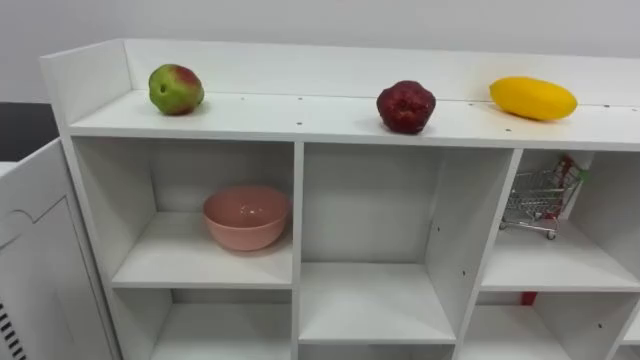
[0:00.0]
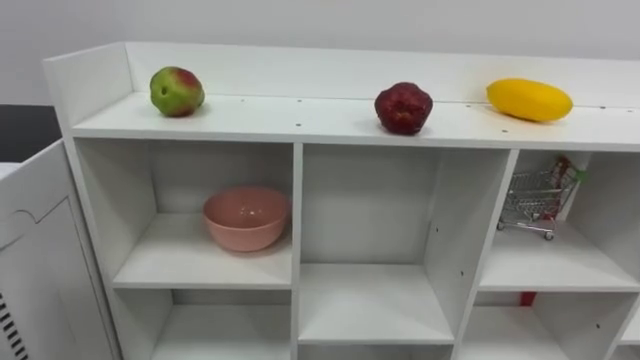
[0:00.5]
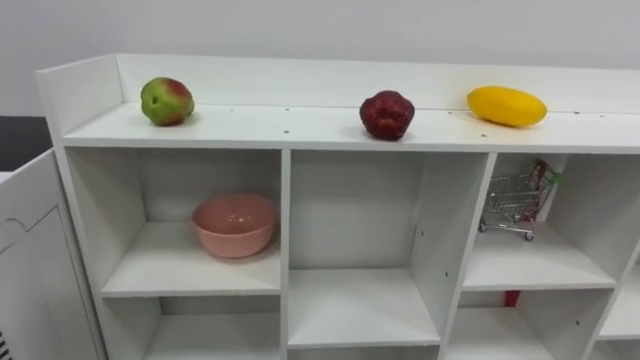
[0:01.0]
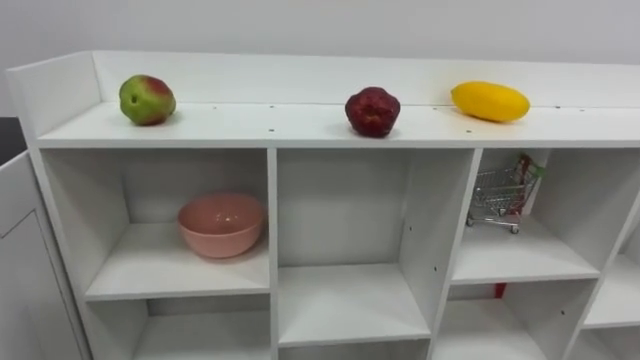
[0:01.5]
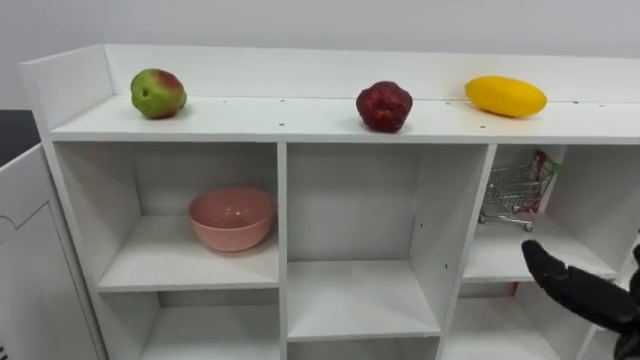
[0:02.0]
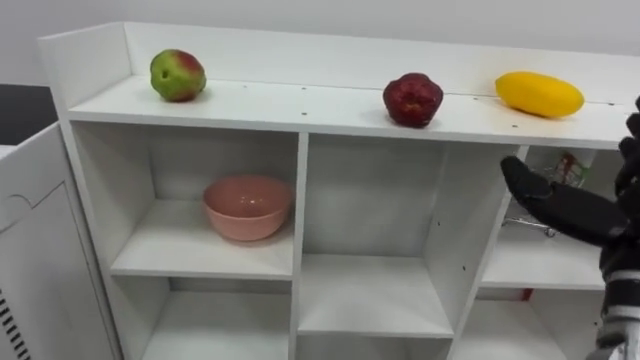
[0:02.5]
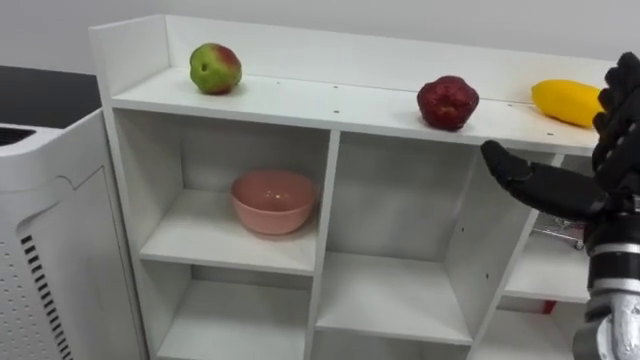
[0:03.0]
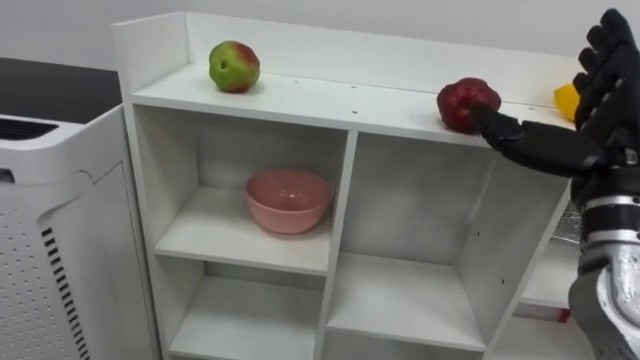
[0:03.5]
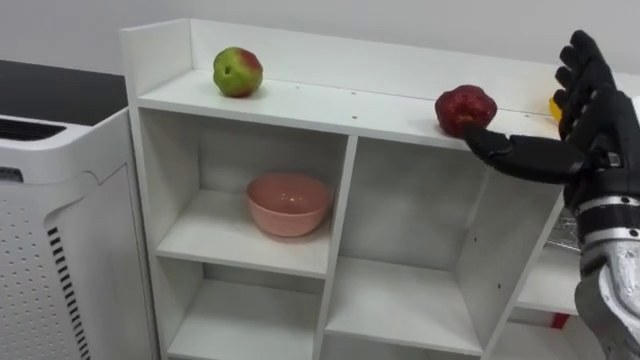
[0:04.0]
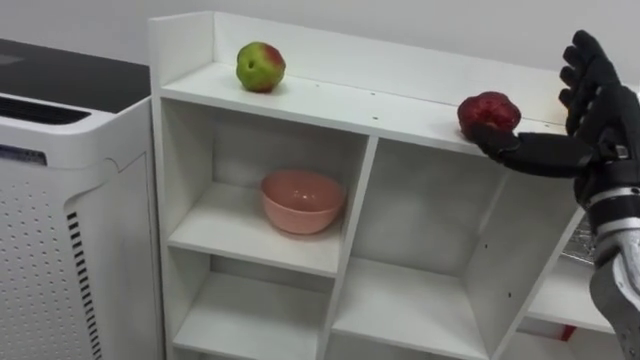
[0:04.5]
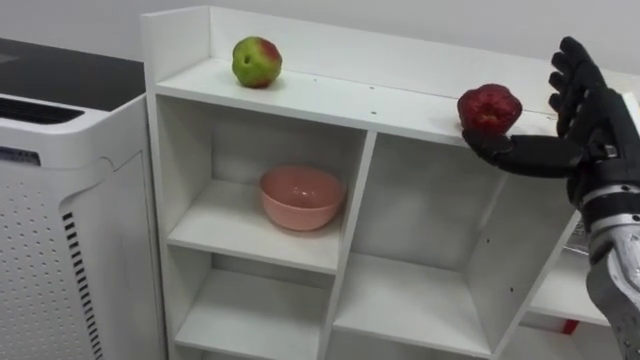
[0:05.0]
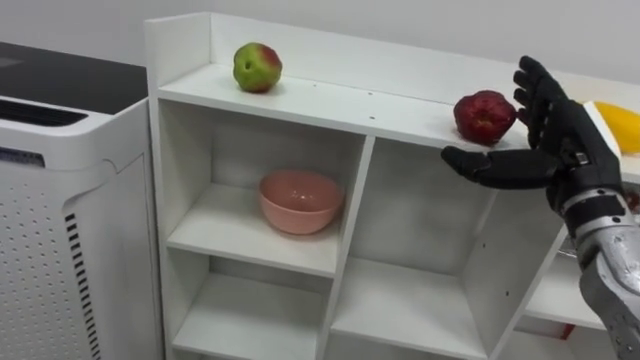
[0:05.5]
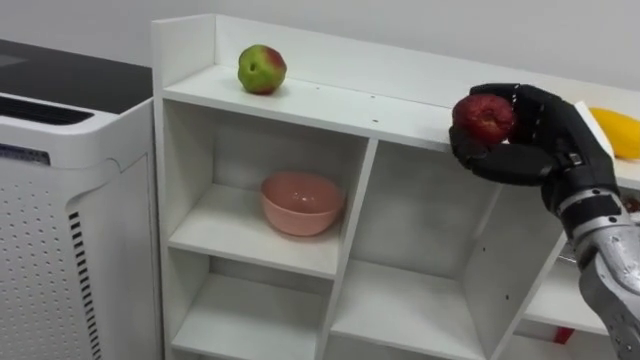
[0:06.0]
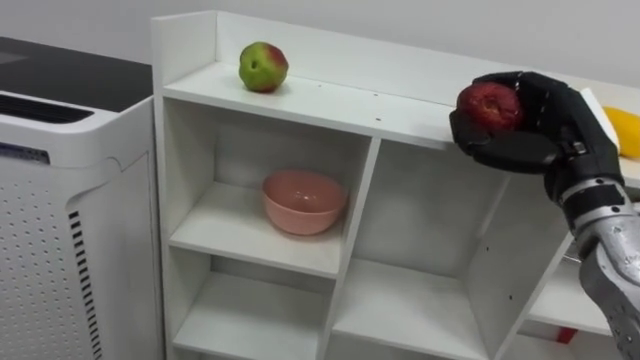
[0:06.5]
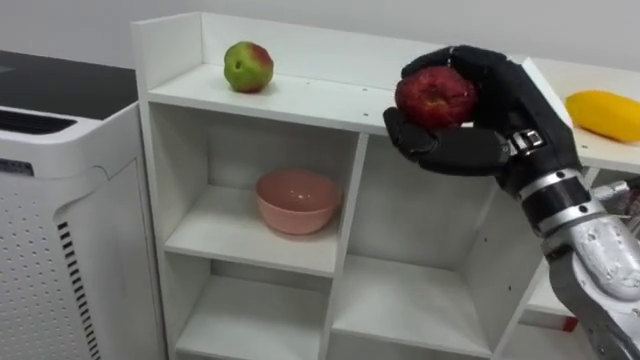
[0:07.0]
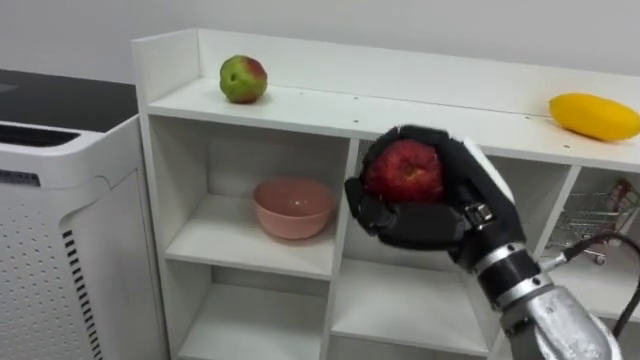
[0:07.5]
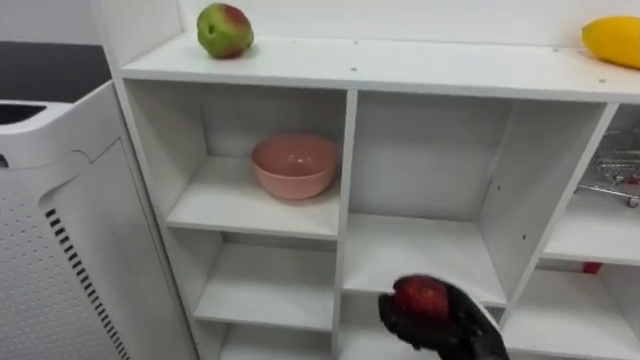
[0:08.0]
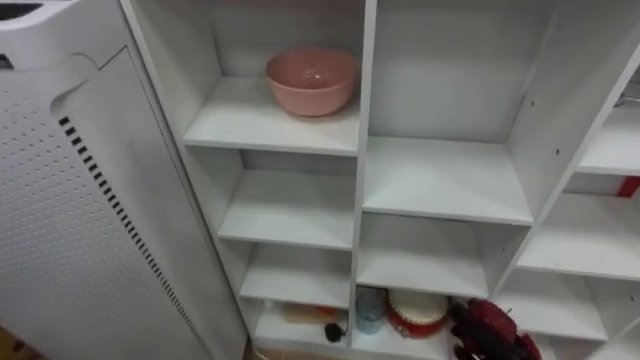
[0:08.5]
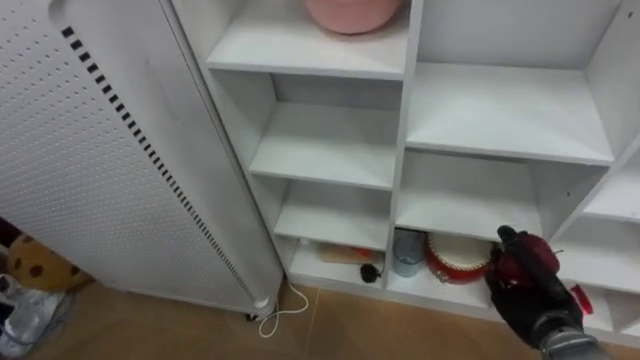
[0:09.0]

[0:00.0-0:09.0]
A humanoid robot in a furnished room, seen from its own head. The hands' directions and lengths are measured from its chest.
Task of the whole recording: Put the apple in the cell in the second column from the left and the second row from the top.
0:04.5 to 0:07.0: The right hand travels to the left by some 10 cm, and closes.

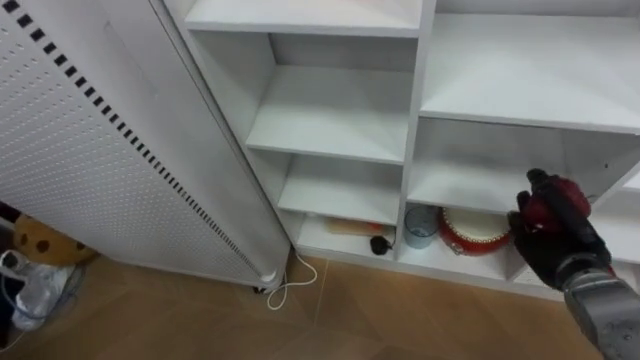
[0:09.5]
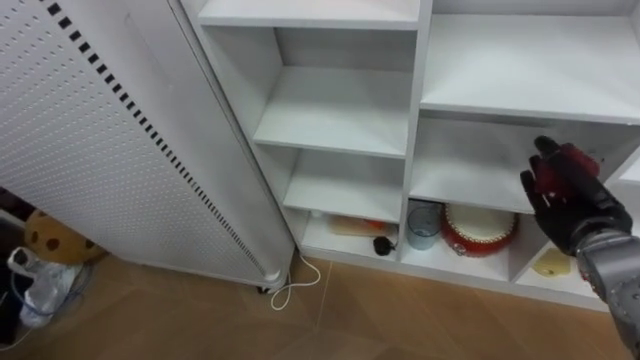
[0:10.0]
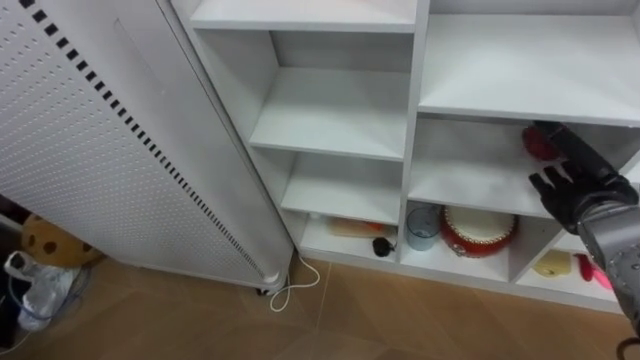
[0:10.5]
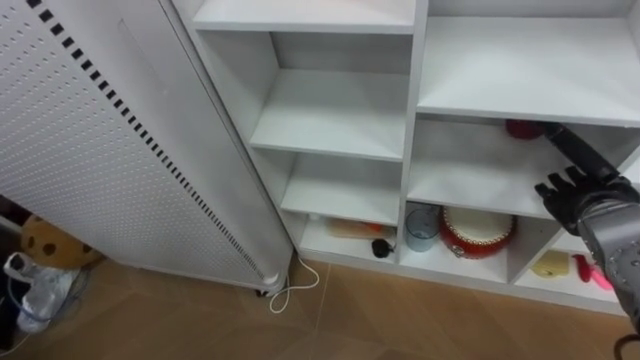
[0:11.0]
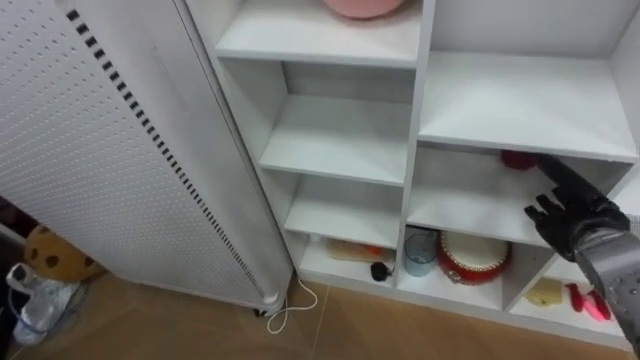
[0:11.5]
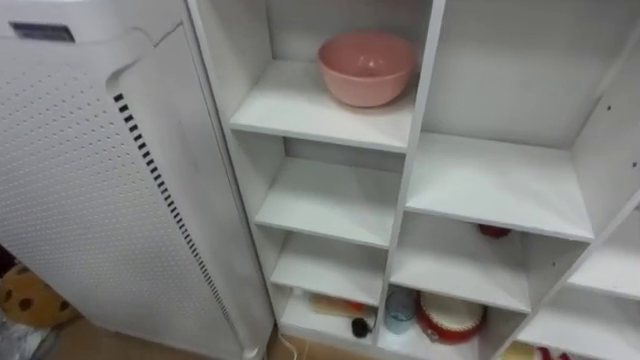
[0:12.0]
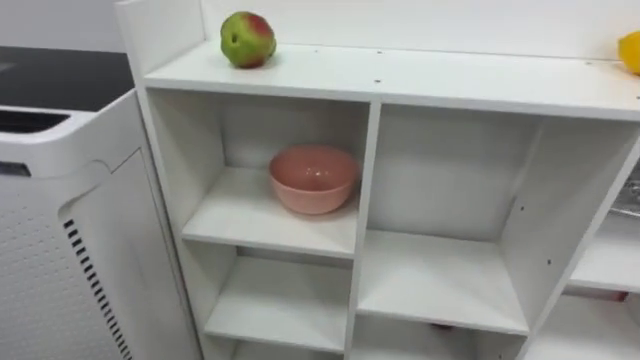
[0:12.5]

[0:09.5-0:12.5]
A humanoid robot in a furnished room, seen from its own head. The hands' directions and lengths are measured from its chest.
Task of the whole recording: Put the apple in the cell in the second column from the left and the second row from the top.
0:09.5 to 0:11.0: The right hand moves upward, roughly 5 cm, and opens.

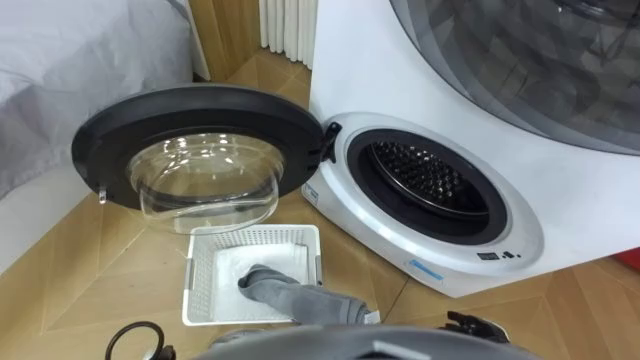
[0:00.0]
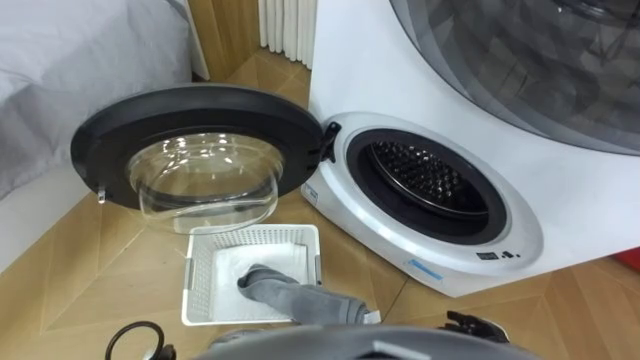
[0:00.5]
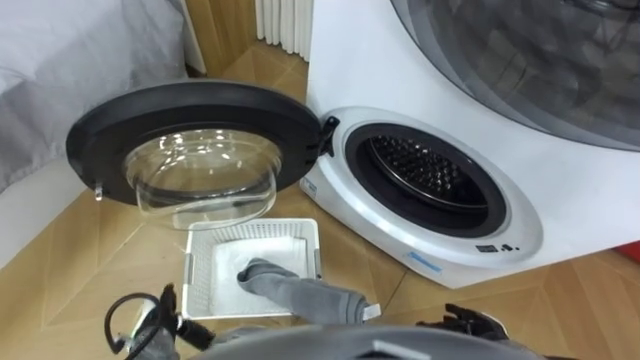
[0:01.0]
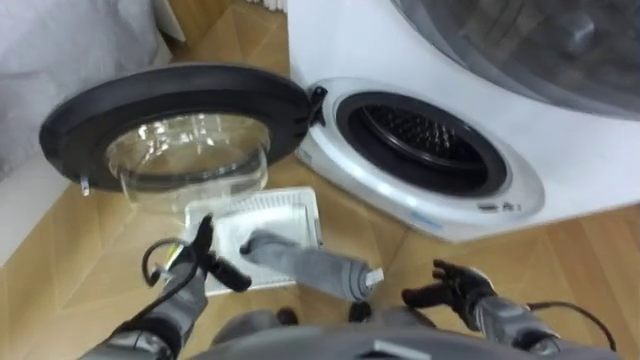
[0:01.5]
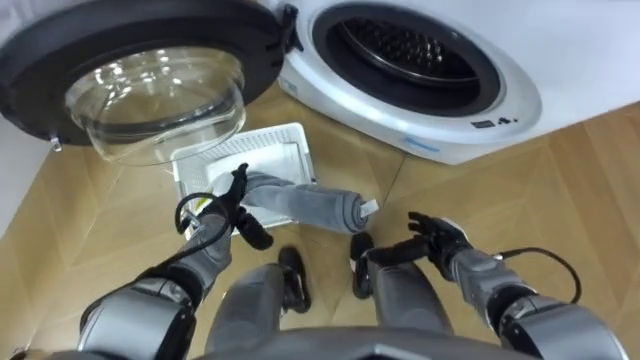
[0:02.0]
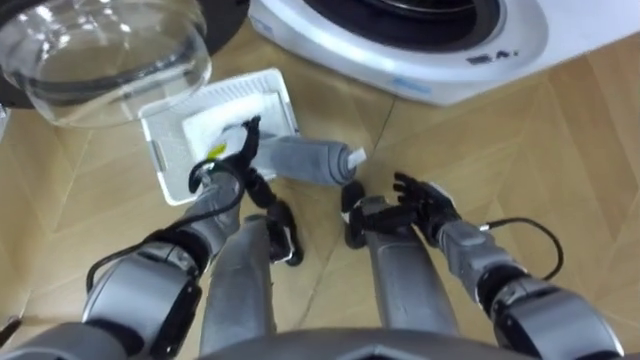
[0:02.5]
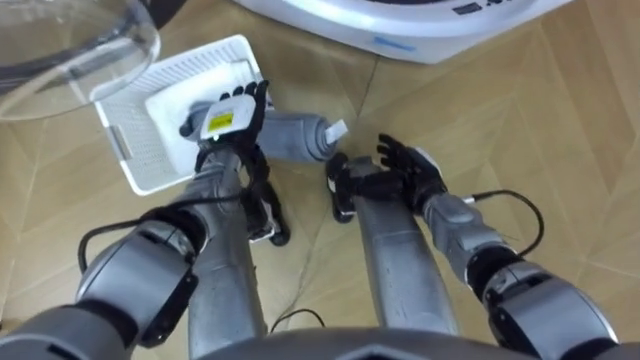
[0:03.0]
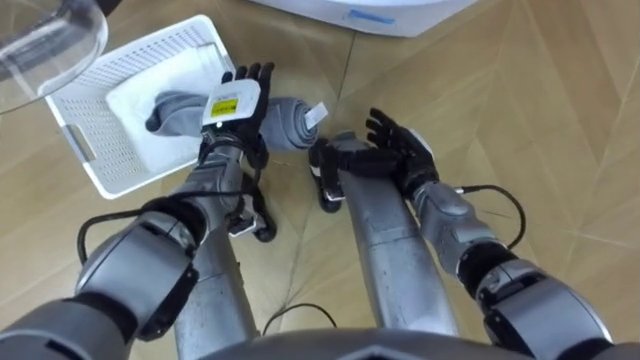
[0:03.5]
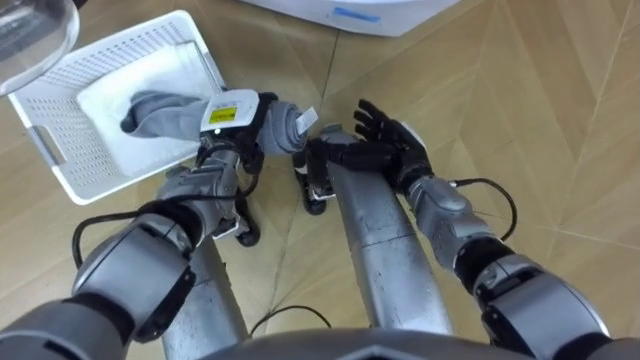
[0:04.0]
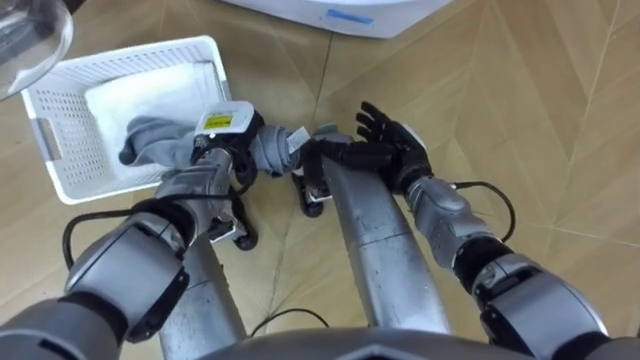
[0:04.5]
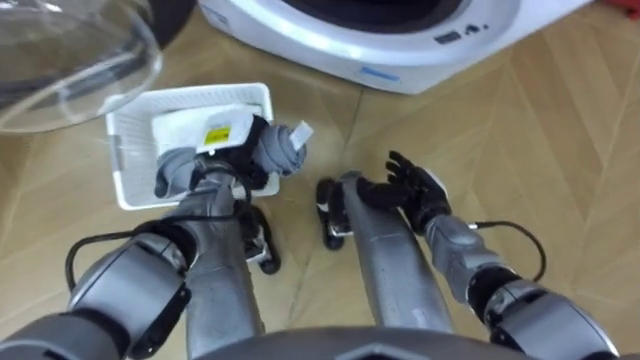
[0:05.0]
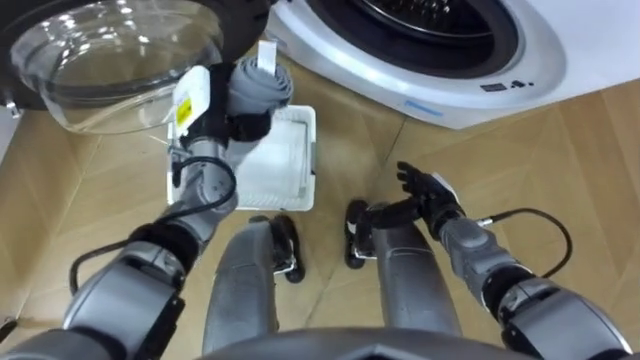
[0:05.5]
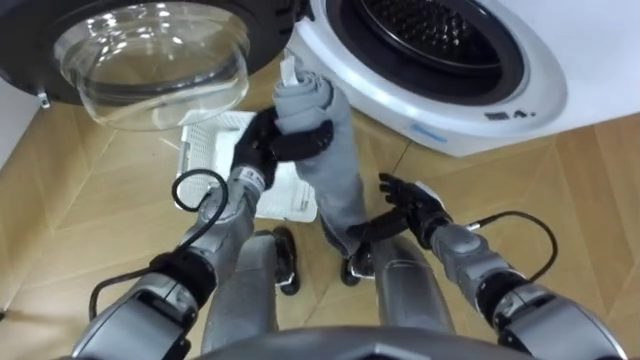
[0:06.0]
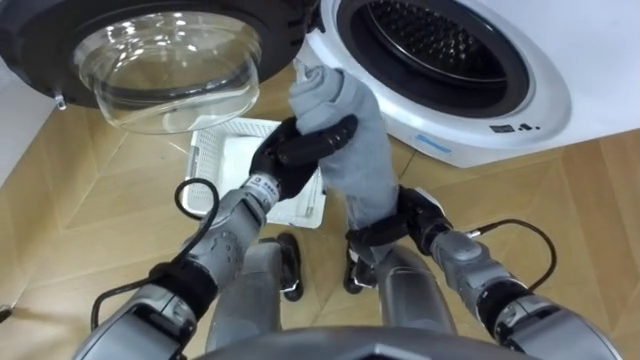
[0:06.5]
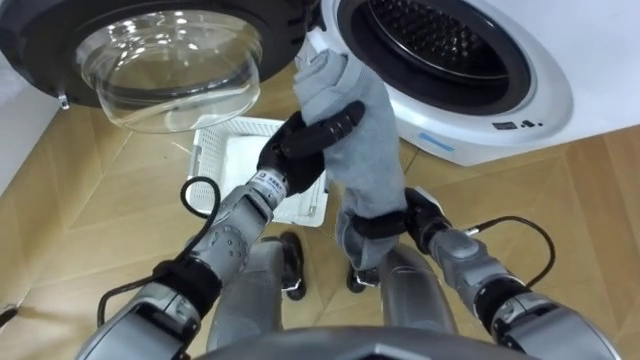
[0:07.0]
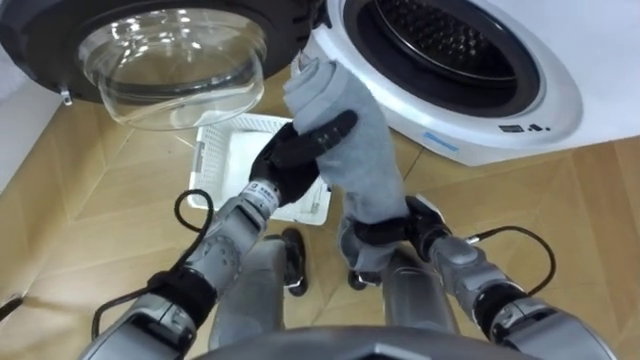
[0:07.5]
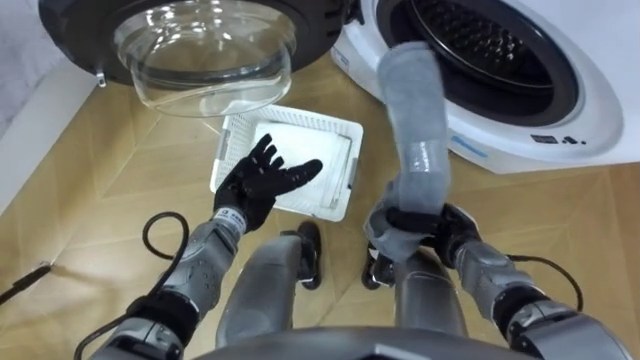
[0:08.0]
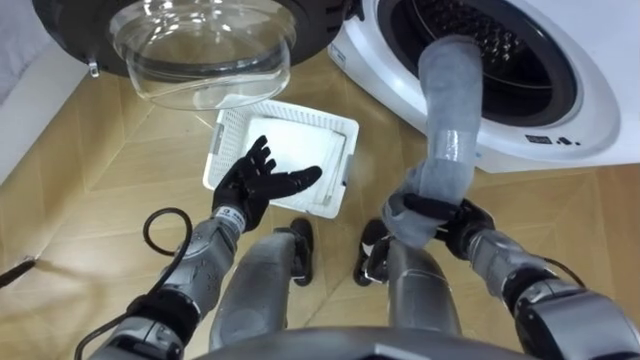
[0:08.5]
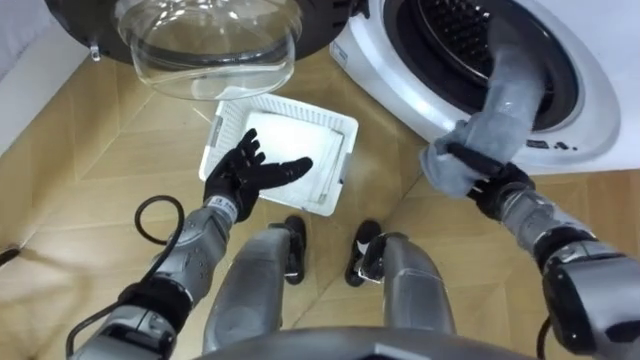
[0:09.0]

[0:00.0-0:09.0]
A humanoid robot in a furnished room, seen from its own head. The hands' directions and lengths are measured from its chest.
Task of the whole recording: Take the towel from the basket and put it into the washing machine.
0:02.0 to 0:04.5: The left hand moves forward and upward, some 10 cm, and closes. The right hand is displaced forward, upward and to the left by approximately 15 cm.
0:04.5 to 0:07.0: The left hand is displaced to the right by some 10 cm; the right hand goes approximately 10 cm backward and downward, and closes its fingers.
0:07.0 to 0:09.0: The left hand shifts roughly 10 cm to the left and downward, and opens its fingers. Meanwhile the right hand moves to the right, about 10 cm.
